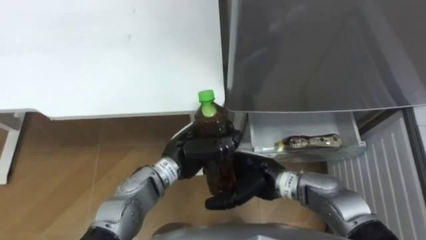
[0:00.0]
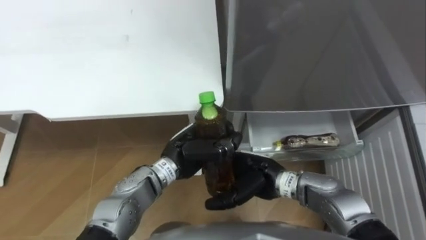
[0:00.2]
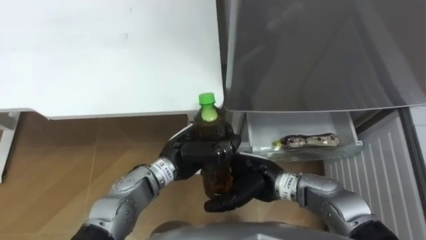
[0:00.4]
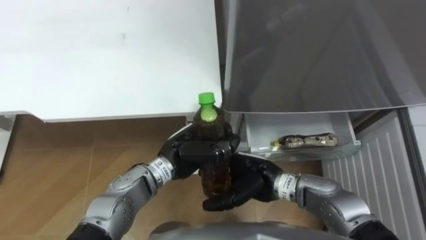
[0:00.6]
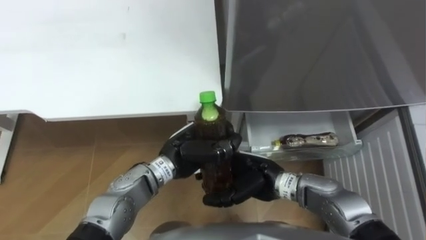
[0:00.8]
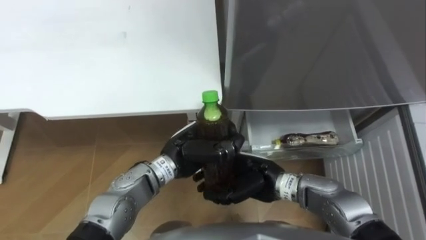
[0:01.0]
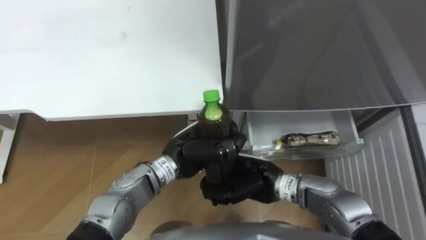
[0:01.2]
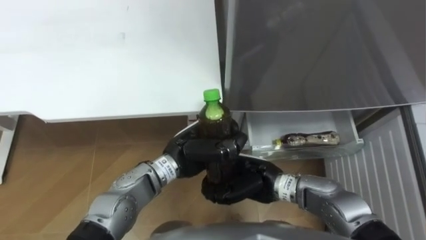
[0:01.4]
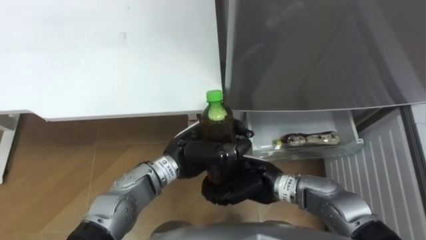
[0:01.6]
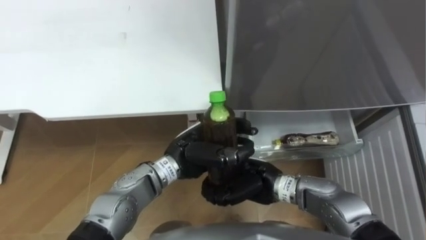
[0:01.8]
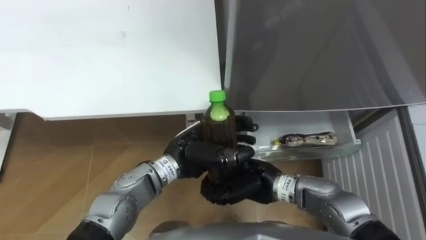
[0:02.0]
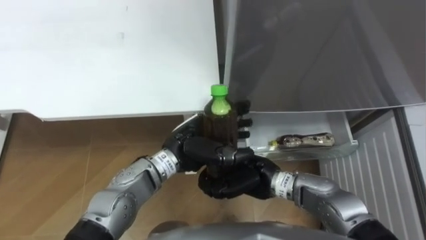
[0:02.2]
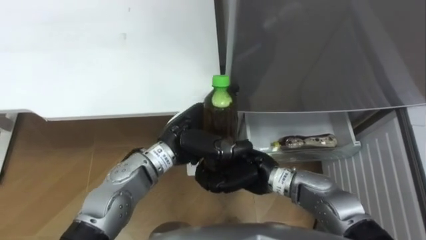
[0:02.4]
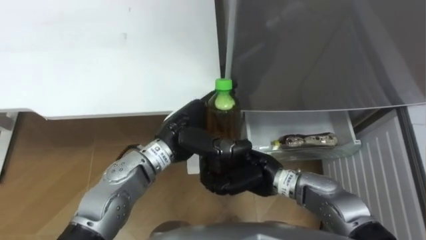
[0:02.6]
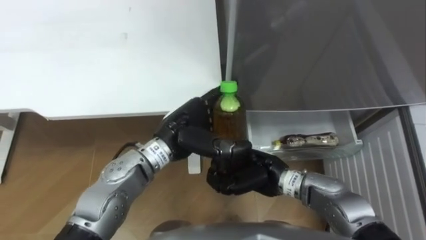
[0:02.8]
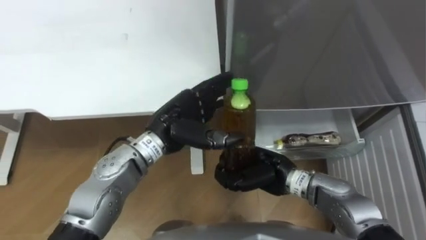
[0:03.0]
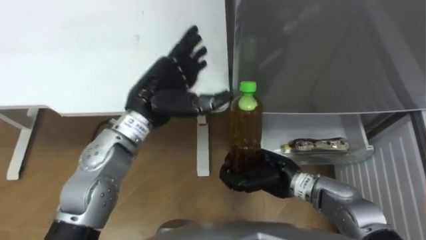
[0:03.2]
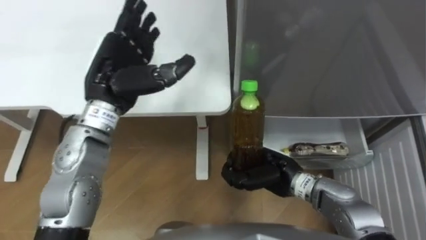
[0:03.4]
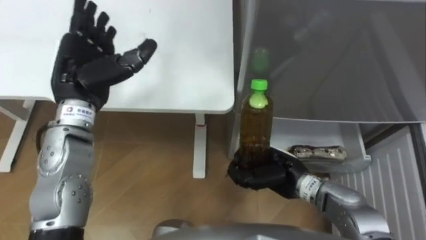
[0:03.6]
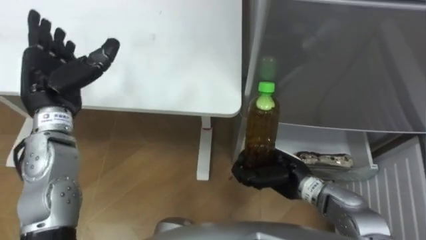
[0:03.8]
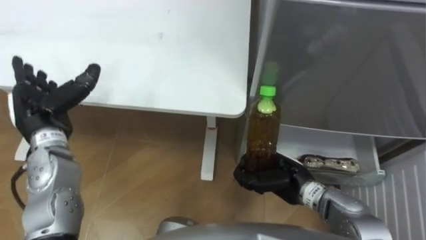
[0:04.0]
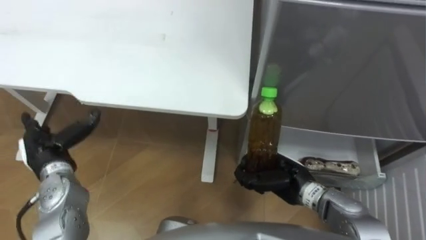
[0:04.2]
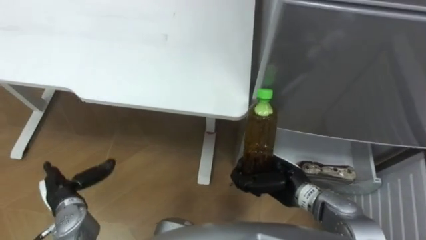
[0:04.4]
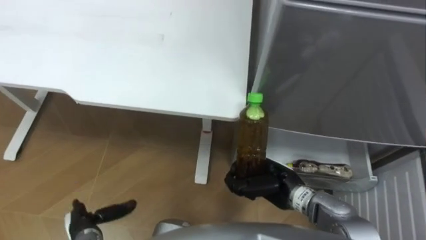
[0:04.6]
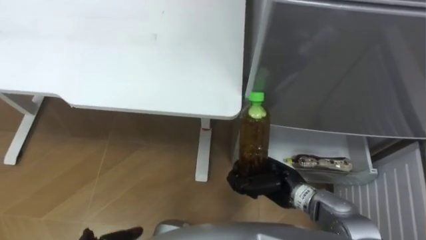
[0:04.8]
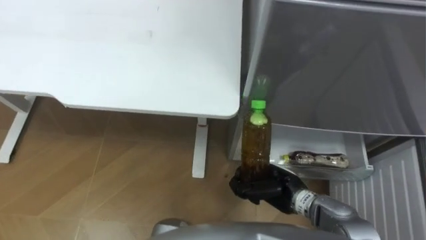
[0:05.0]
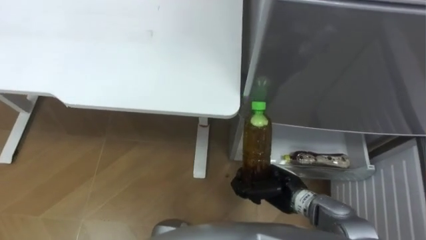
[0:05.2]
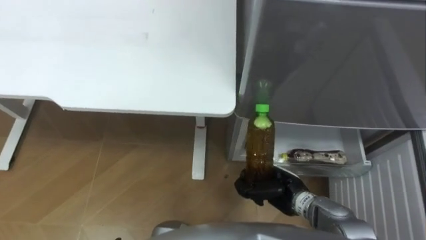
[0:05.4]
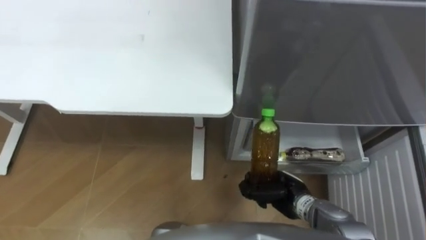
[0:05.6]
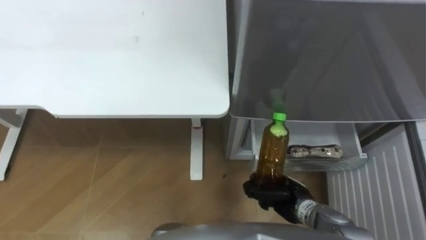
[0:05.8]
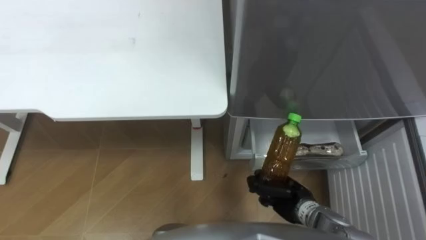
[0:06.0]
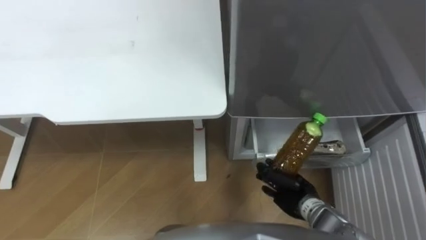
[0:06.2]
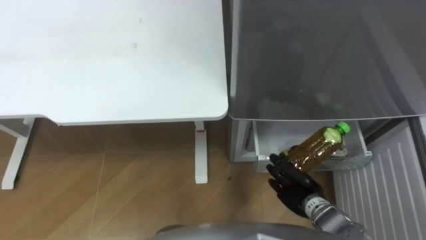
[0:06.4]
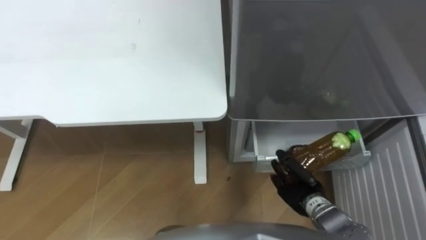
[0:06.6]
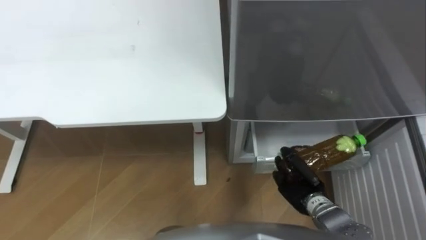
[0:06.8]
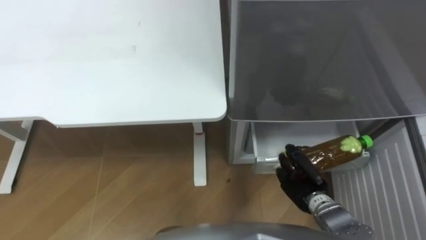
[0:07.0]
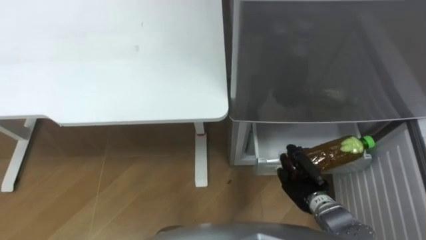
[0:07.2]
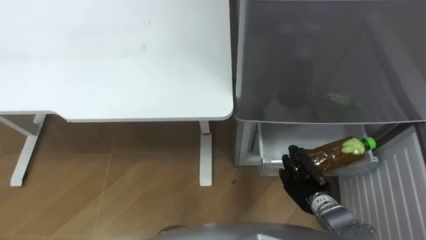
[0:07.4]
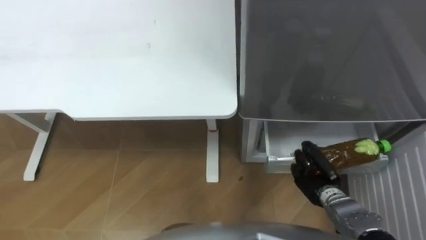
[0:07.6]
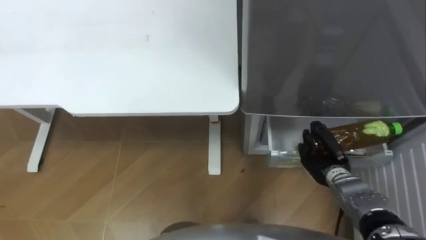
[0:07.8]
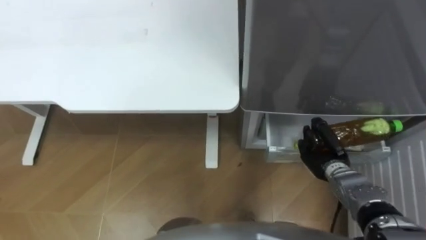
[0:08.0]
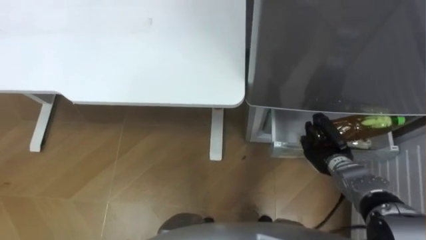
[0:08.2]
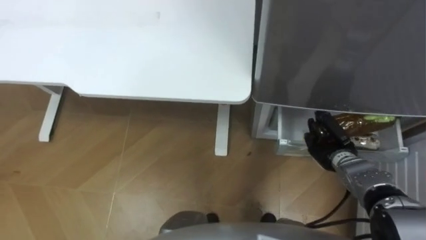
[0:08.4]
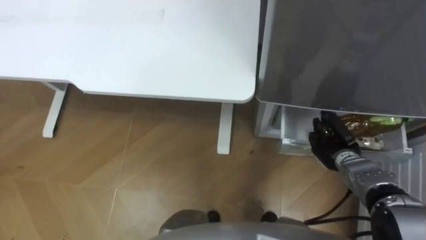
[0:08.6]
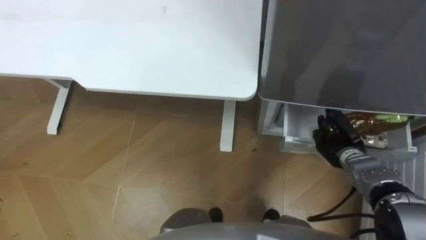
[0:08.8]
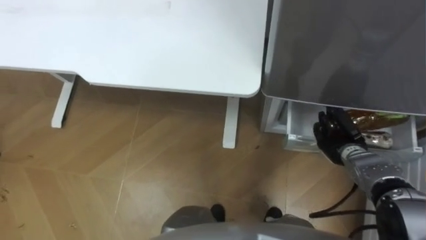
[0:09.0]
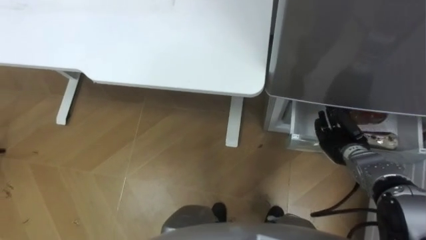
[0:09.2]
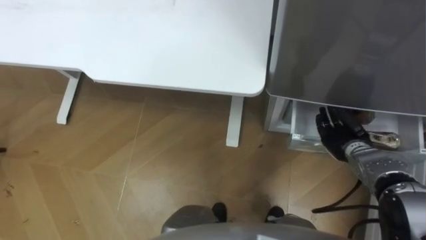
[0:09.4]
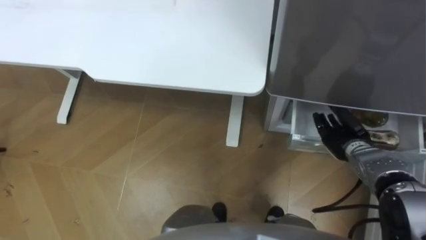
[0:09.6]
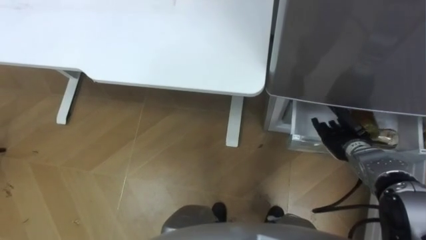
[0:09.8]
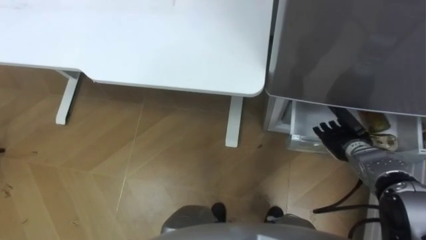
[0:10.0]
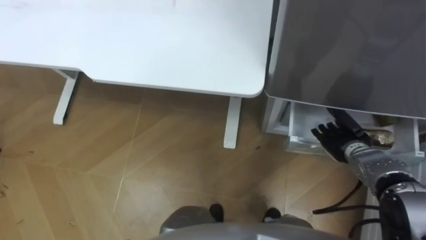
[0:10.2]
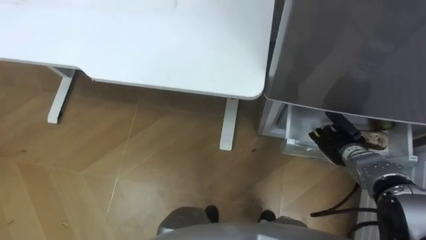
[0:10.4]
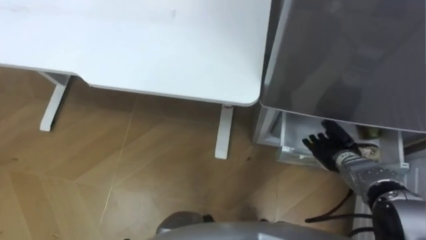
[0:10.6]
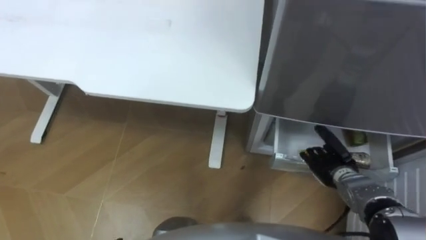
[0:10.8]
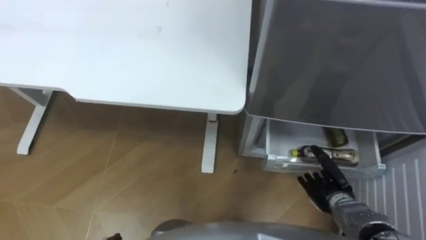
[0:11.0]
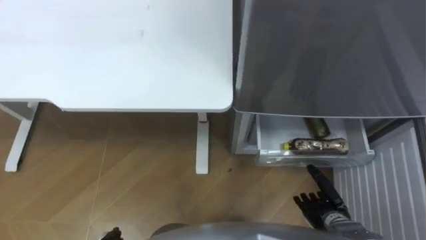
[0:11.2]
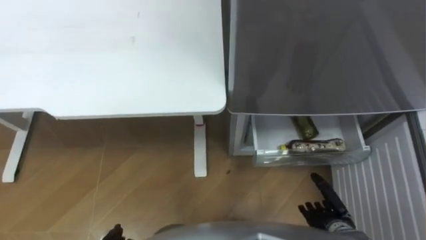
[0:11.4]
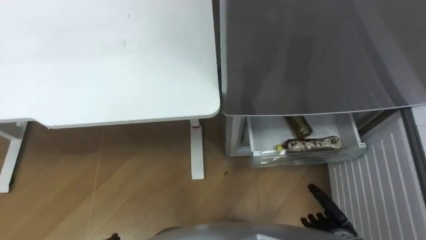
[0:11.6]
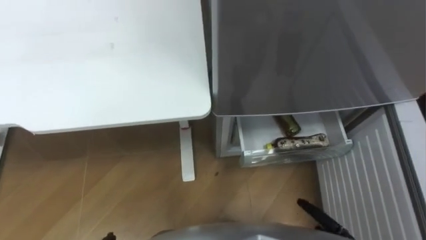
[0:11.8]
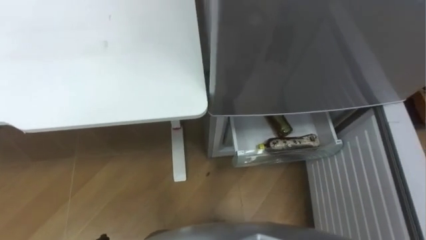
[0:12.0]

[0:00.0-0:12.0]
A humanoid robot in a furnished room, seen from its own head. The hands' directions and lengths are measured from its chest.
Task of the whole recording: Place the drink on the table on the bottom shelf of the refrigerator, then close the drawer and the refrigerator door.
0:00.0 to 0:01.6: The right hand closes.
0:01.6 to 0:03.0: The left hand travels upward by roughly 5 cm, and opens.
0:03.0 to 0:04.4: The left hand travels to the left, downward and backward by about 30 cm. Meanwhile the right hand moves some 5 cm.
0:04.4 to 0:06.0: The right hand travels downward by some 5 cm.
0:06.0 to 0:07.6: The right hand moves to the right, about 5 cm.
0:07.6 to 0:09.0: The right hand goes approximately 10 cm forward and to the right.
0:09.0 to 0:10.4: The right hand opens its fingers.

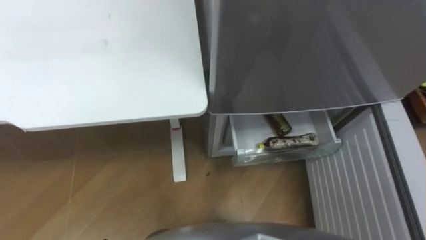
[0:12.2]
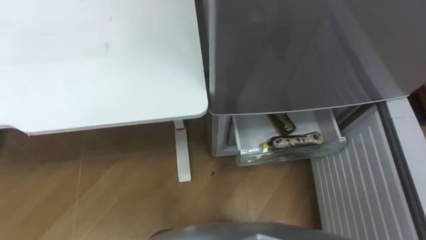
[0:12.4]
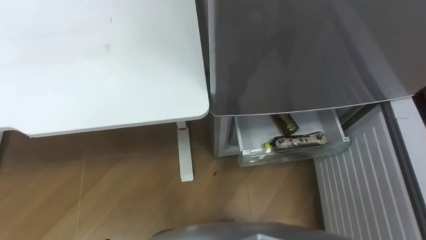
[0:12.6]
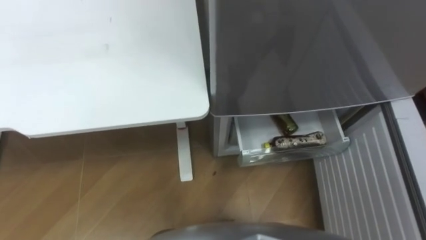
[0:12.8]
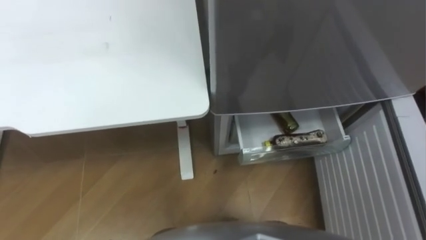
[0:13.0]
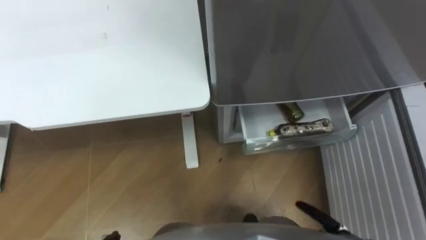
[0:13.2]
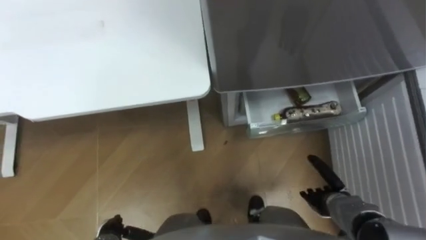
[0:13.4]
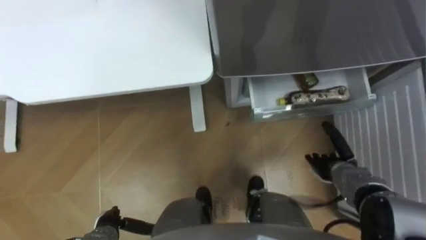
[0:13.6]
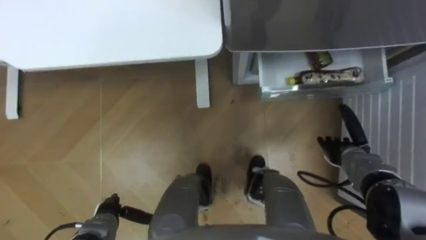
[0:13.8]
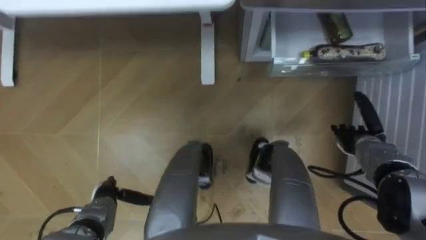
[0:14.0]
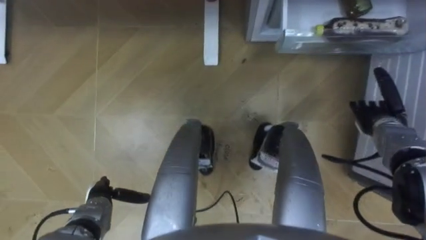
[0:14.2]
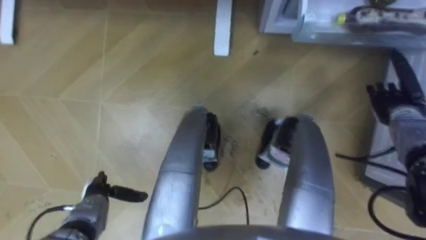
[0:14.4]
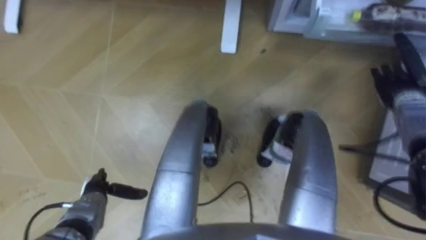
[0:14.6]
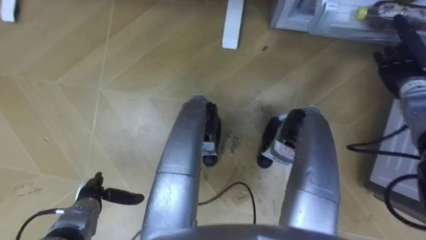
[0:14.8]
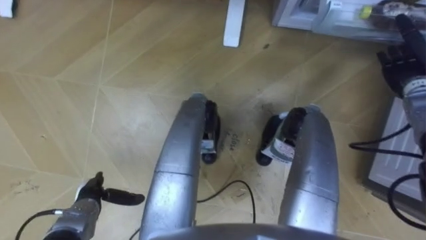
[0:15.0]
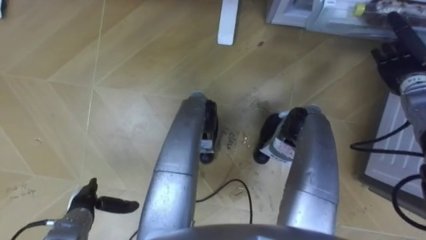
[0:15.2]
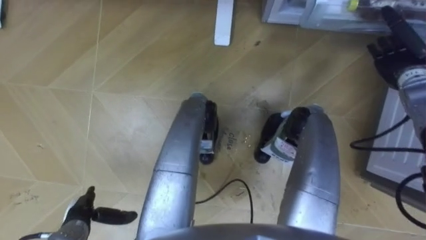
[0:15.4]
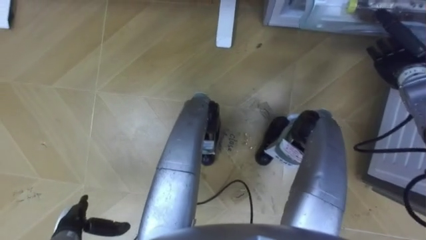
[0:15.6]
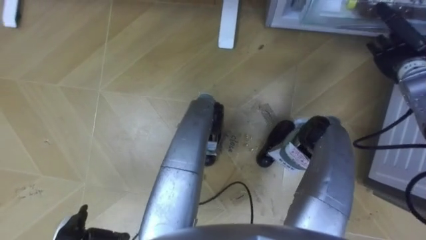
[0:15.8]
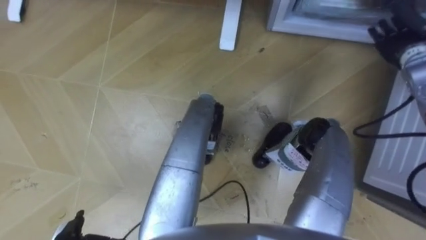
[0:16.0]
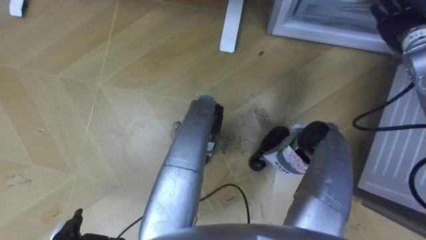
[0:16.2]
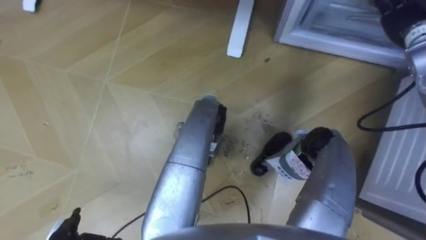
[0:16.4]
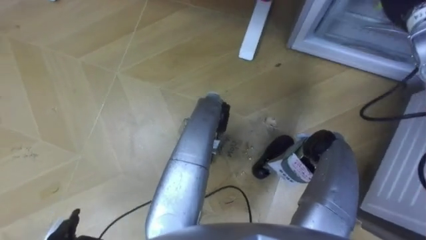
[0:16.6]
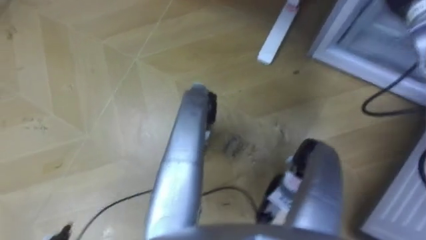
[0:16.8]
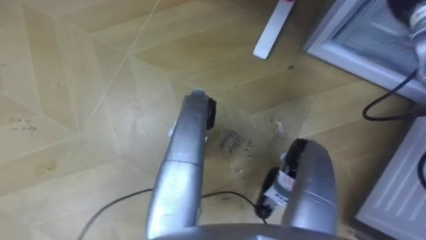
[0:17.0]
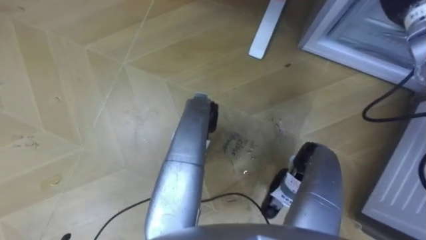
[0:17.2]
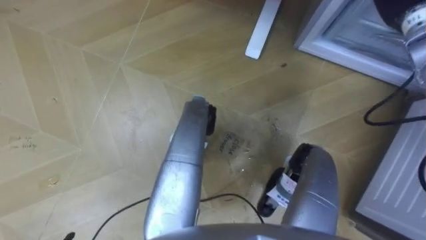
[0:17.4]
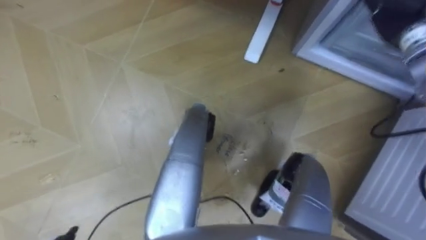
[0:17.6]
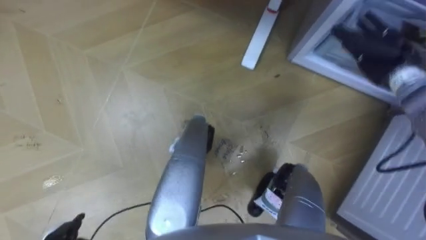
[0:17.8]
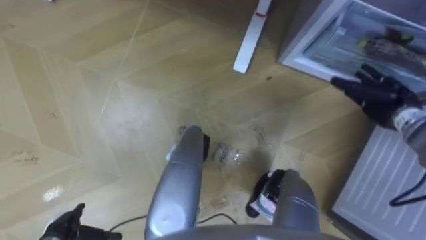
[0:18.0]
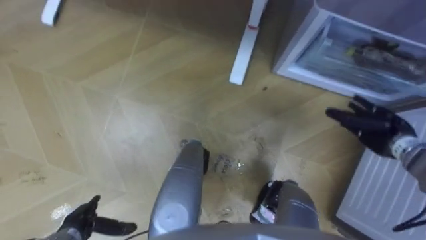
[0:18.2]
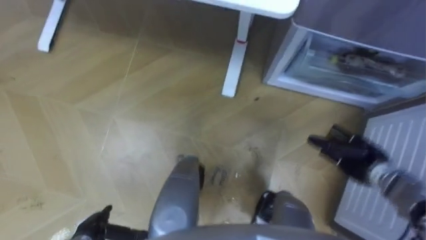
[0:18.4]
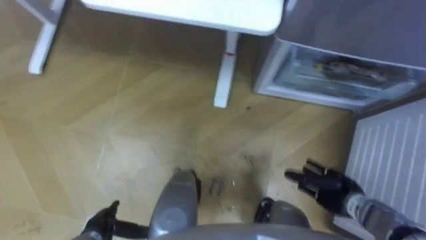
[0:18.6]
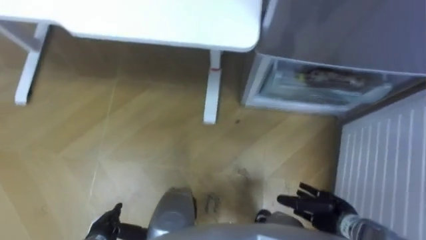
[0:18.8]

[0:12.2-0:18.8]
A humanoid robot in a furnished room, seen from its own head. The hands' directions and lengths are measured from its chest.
Task of the whole recording: Place the drink on the table on the bottom shelf of the refrigerator, then close the drawer and the refrigerator door.
0:13.8 to 0:15.4: The left hand changes place by roughly 5 cm. The right hand goes some 20 cm upward, forward and to the right.
